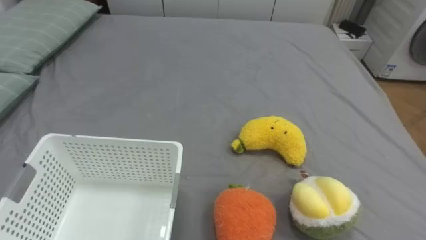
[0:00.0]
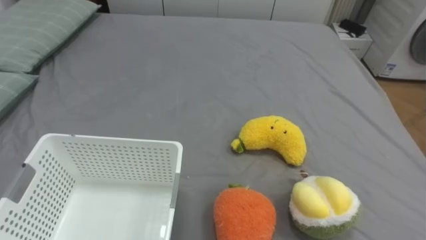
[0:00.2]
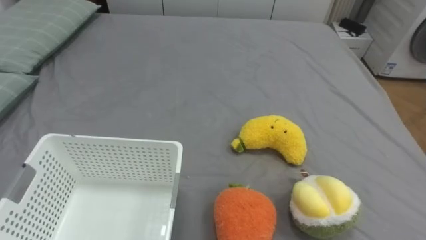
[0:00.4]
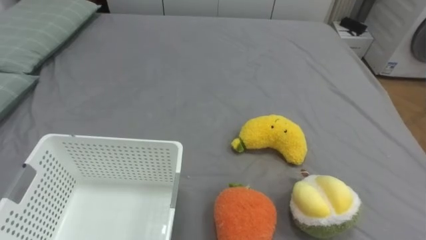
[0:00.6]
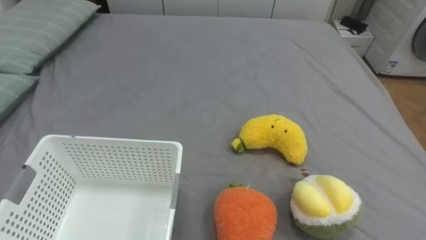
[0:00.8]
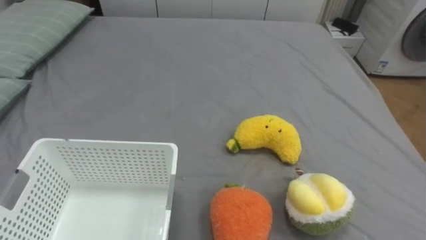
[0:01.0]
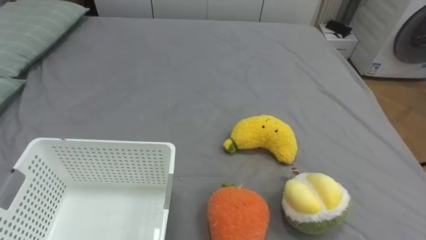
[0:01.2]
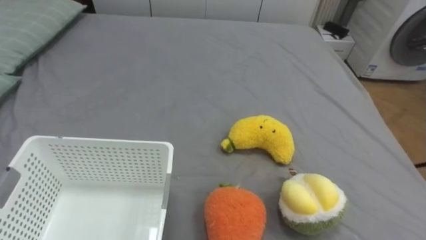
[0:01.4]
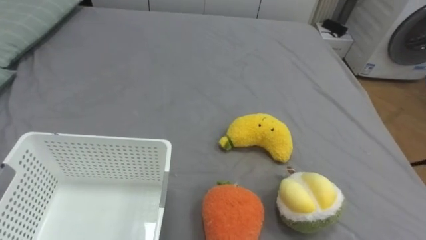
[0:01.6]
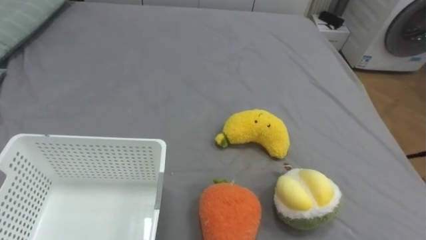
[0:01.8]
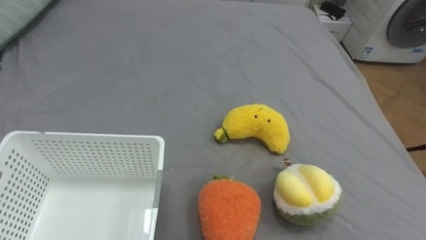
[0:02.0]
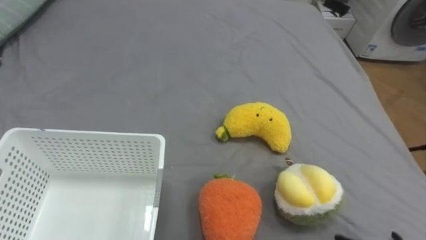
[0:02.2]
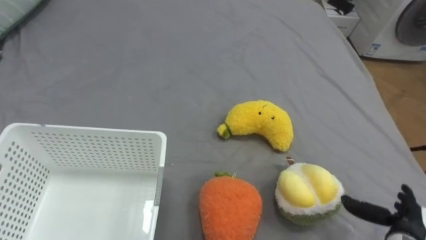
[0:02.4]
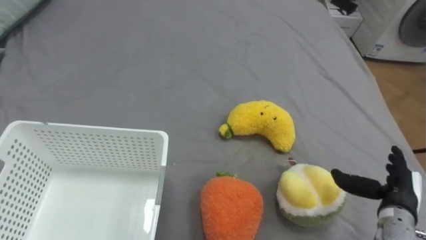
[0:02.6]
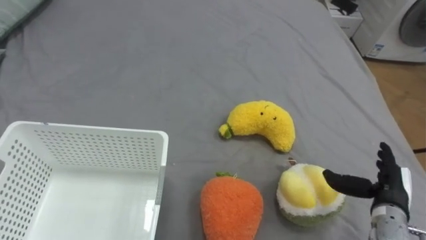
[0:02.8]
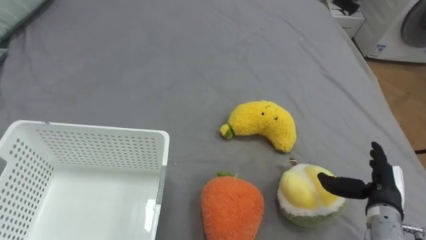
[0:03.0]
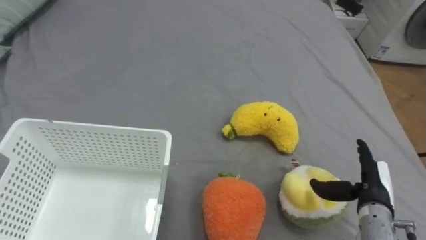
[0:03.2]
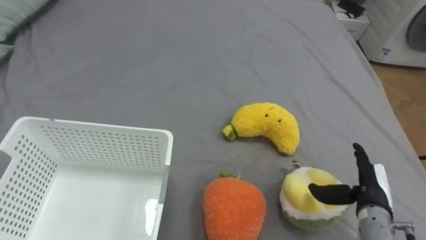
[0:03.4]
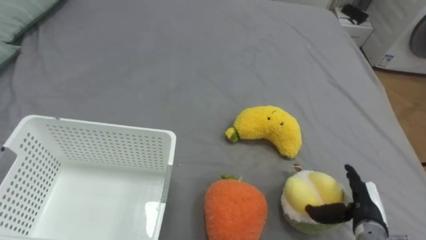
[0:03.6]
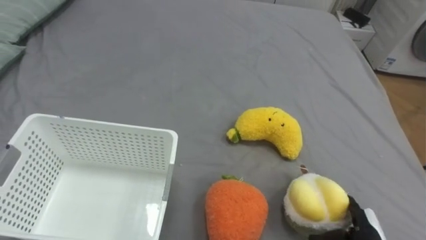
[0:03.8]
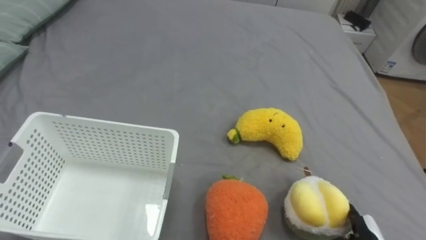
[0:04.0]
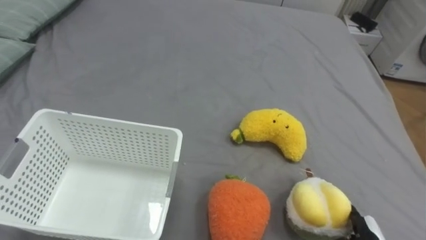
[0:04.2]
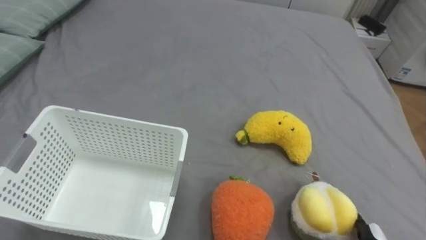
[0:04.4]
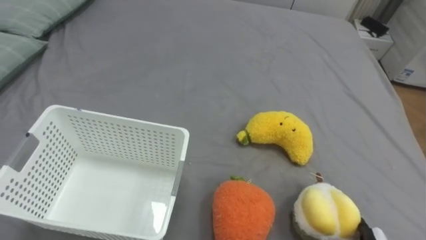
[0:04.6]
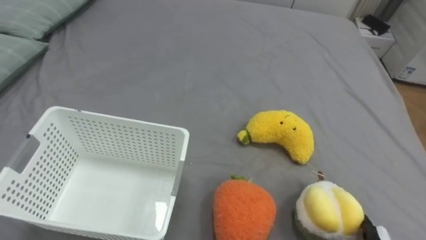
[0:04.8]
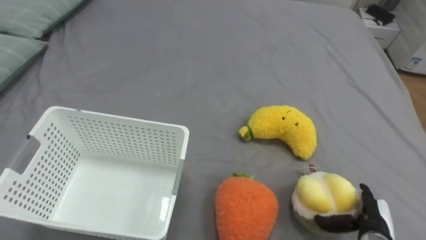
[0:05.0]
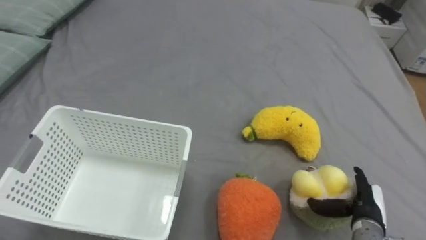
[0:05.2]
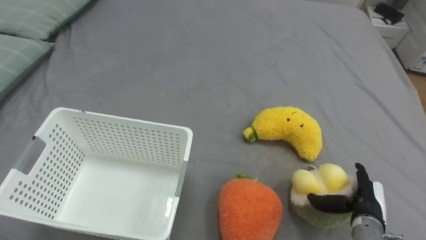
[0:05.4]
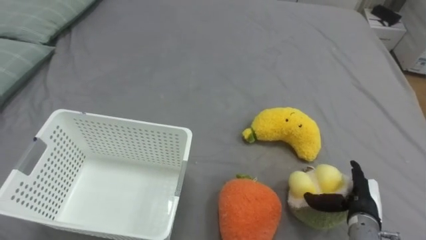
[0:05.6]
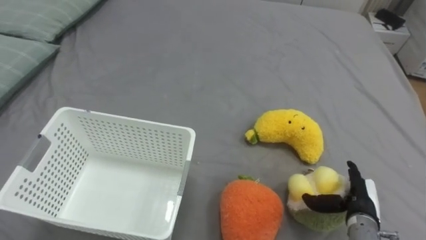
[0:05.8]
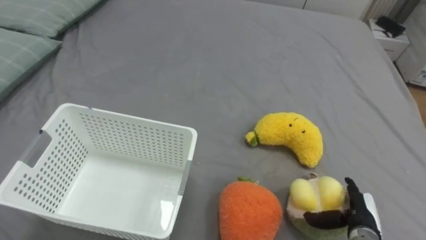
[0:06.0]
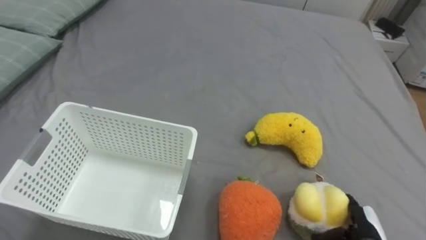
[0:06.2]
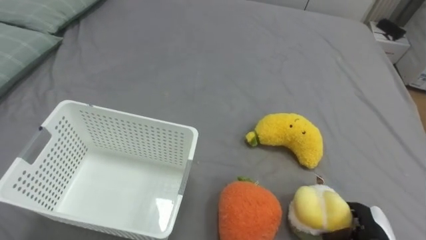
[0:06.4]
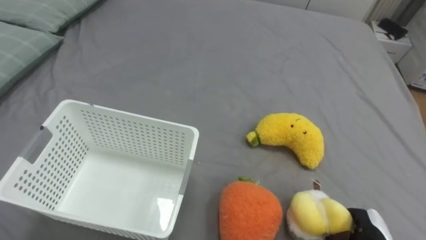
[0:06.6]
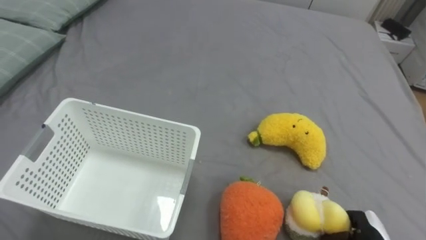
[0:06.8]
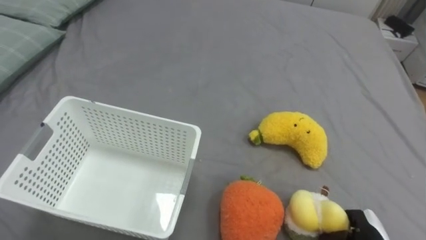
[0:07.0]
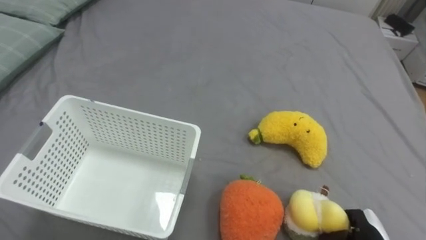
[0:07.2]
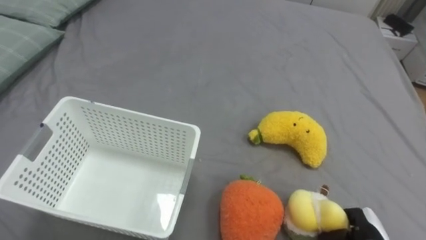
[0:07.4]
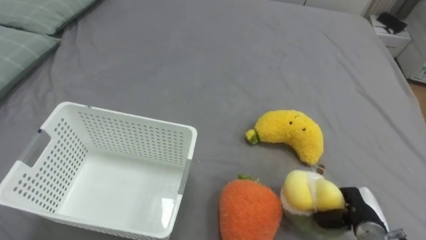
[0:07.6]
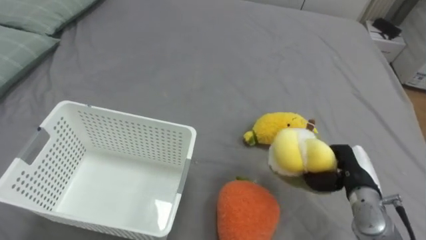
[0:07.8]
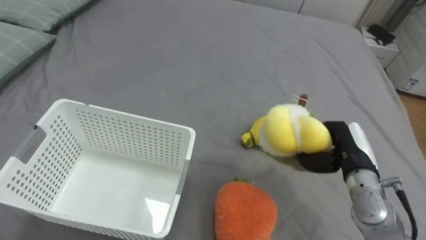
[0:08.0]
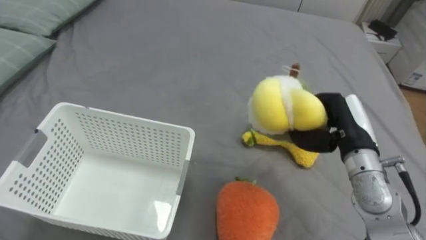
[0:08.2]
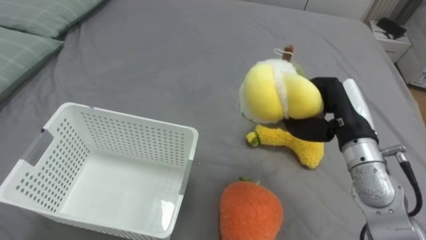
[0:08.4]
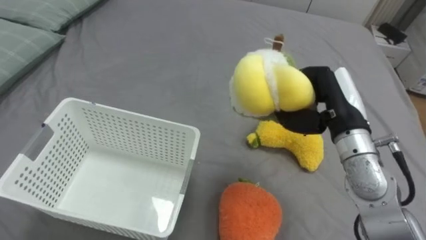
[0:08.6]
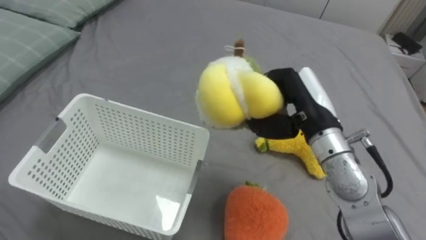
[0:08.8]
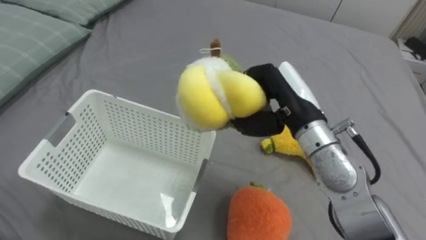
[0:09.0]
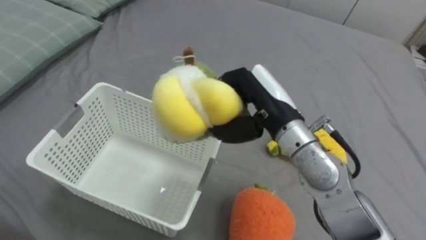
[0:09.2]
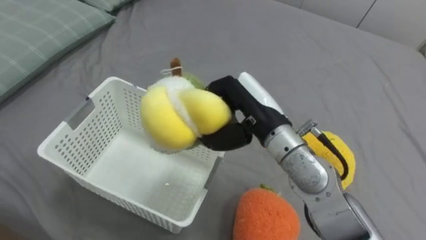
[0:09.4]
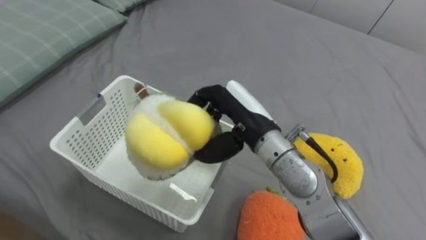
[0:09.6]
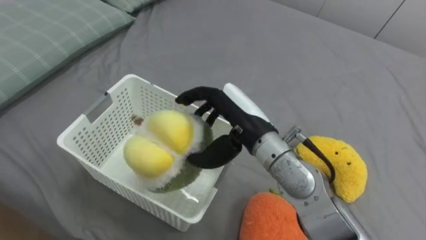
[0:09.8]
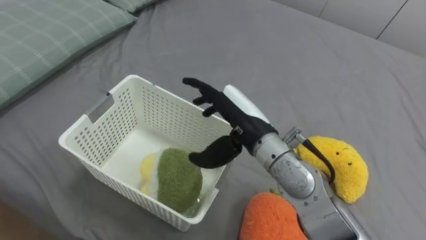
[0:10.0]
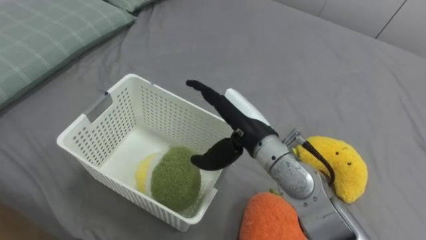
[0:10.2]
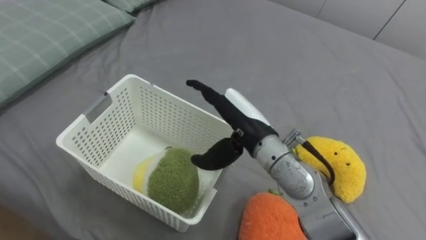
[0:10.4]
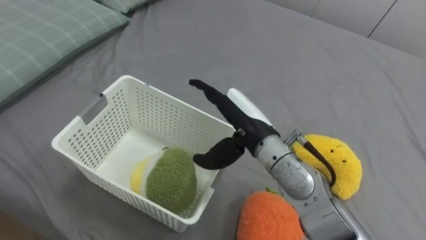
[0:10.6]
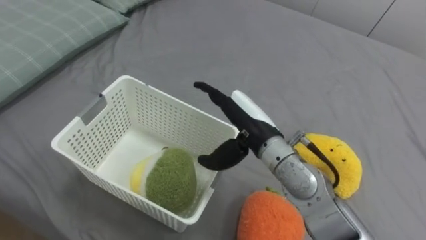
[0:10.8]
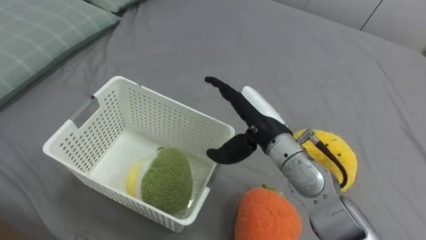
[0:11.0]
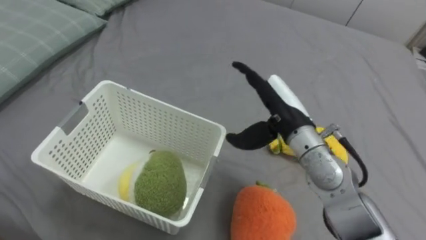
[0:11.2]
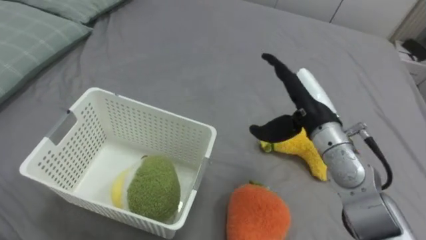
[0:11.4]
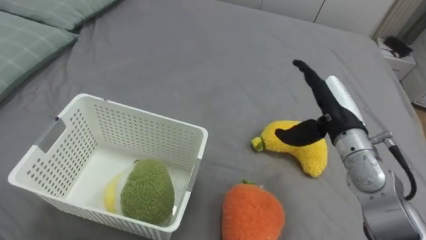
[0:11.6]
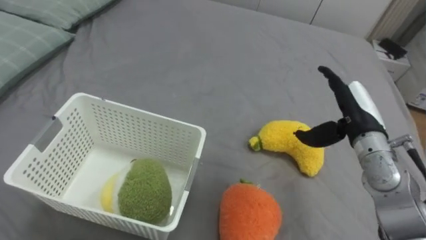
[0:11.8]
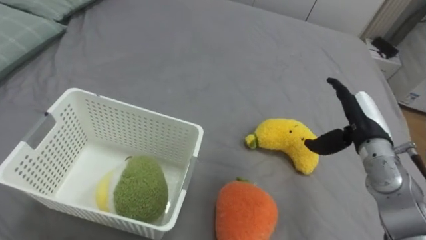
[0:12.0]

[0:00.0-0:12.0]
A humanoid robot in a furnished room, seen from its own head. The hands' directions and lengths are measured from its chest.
Task of the whole recording: Put the toys on the bed into the basket on the left.
0:06.0 to 0:07.6: The right hand closes up.
0:07.6 to 0:09.0: The right hand moves upward, to the left and forward, roughly 30 cm.
0:09.0 to 0:10.4: The right hand goes approximately 10 cm to the left, and opens up.
0:10.4 to 0:12.0: The right hand shifts some 20 cm to the right.

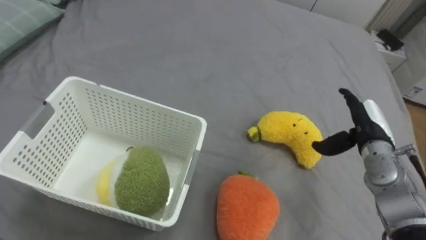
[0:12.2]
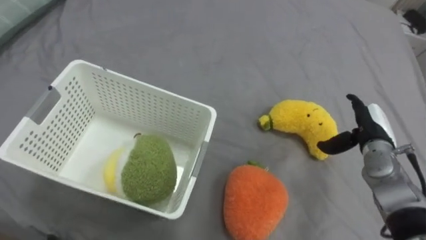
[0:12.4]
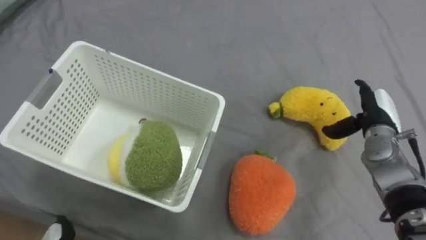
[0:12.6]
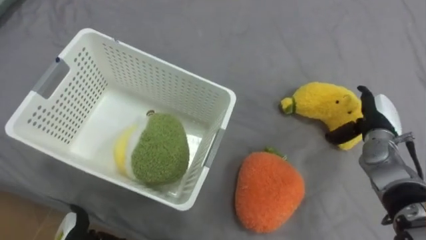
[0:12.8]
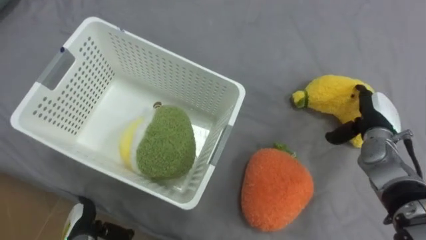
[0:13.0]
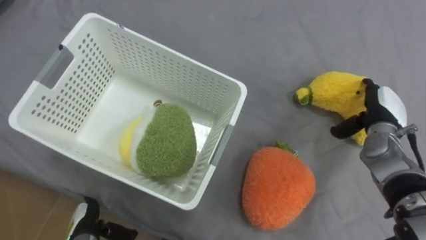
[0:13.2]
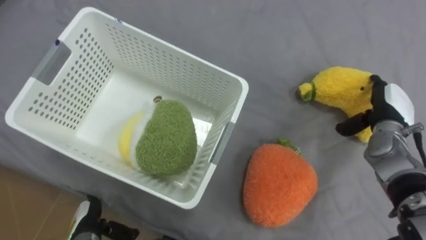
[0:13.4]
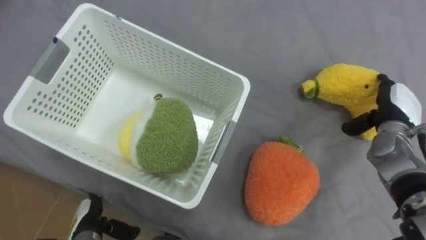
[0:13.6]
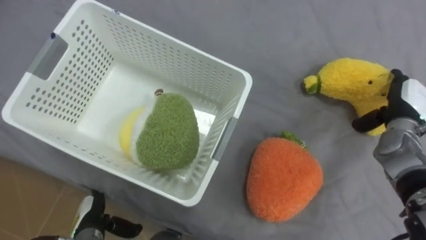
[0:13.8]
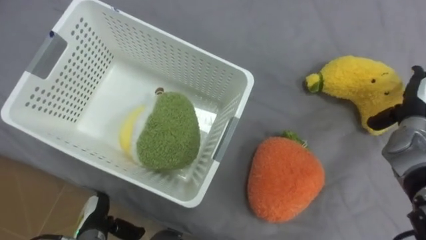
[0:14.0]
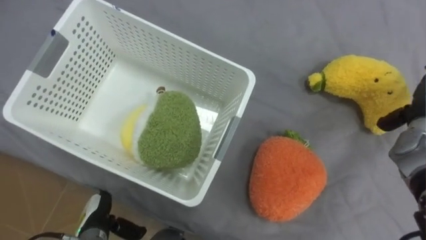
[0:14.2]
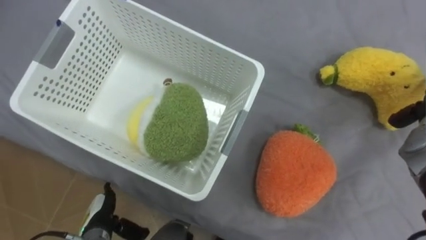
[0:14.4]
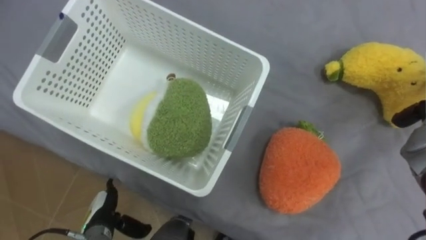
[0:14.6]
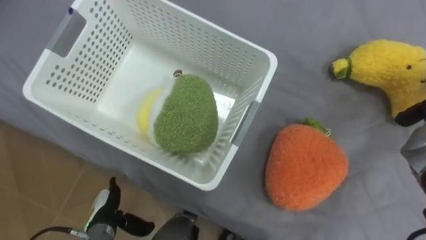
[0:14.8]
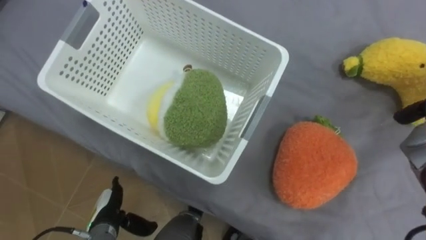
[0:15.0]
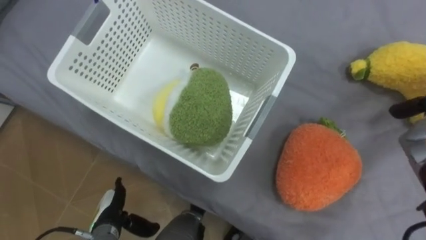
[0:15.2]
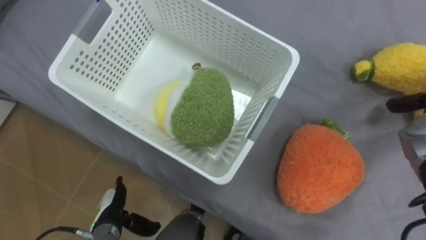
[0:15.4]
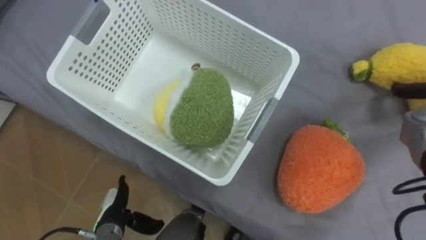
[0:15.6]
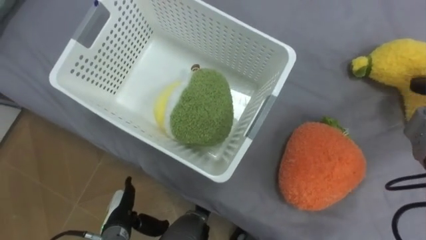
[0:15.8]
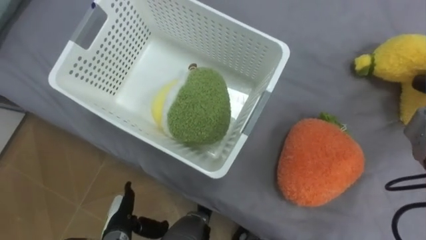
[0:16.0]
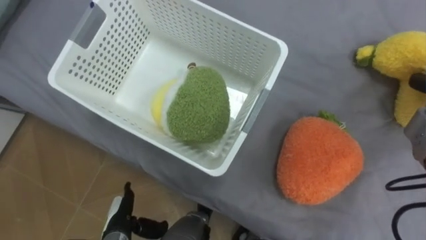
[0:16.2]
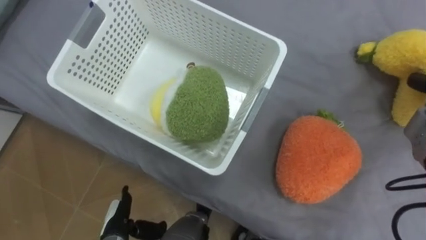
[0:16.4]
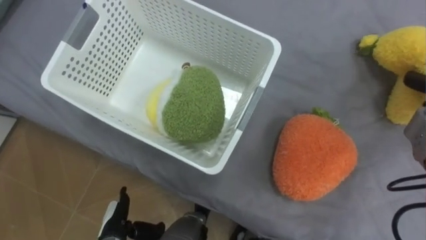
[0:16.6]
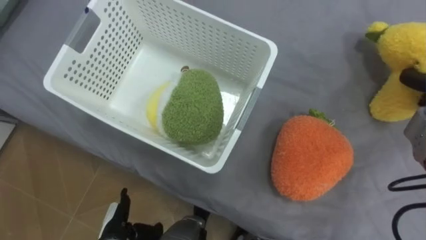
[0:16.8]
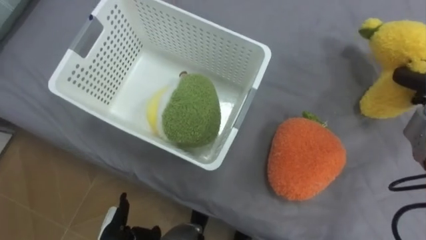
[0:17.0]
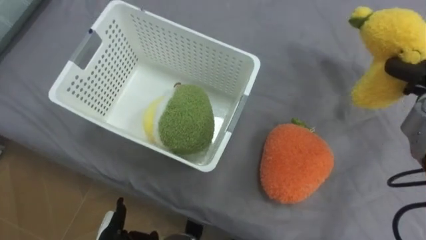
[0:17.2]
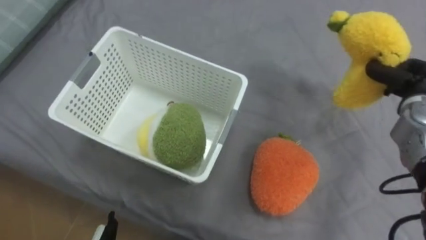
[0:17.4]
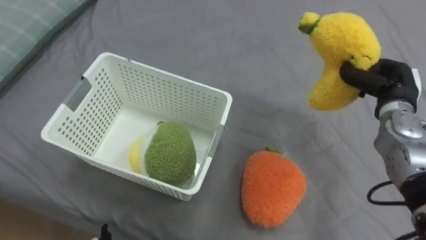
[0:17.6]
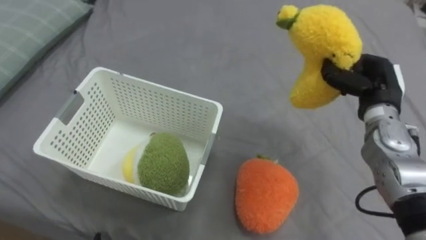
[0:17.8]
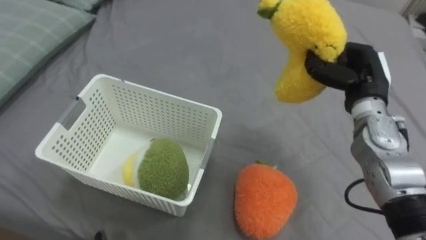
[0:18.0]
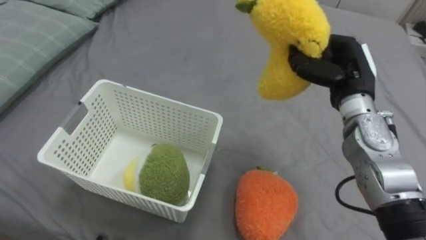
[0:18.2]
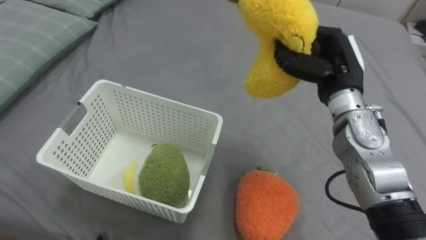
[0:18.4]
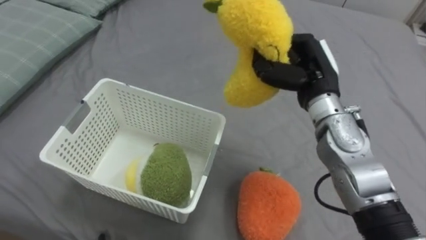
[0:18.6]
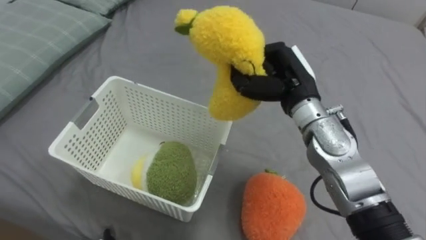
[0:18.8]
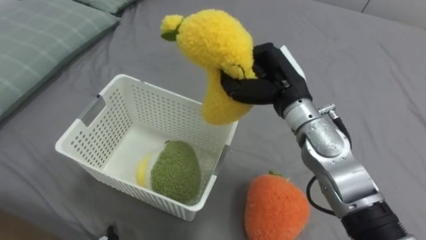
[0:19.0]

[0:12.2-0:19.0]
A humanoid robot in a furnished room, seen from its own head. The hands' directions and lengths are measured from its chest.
Task of the whole recording: Put the toys on the bed into the basket on the left.
0:12.2 to 0:13.6: The right hand changes place by approximately 5 cm.
0:17.6 to 0:19.0: The right hand is displaced to the left by about 20 cm.
